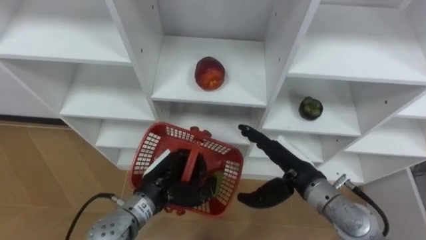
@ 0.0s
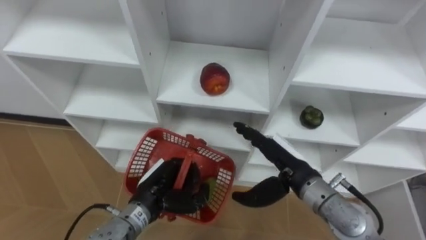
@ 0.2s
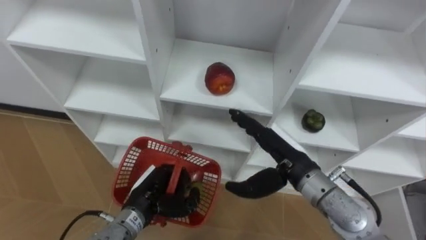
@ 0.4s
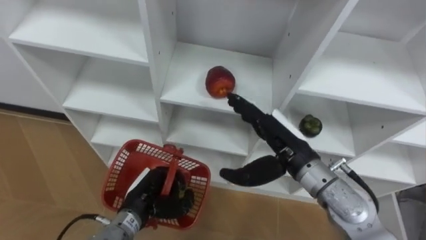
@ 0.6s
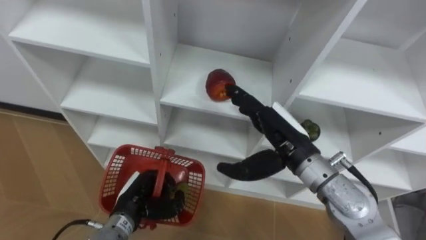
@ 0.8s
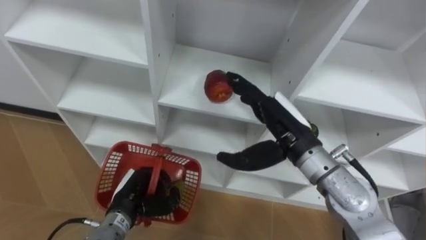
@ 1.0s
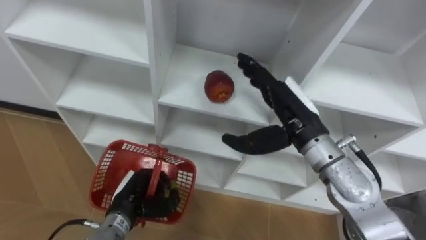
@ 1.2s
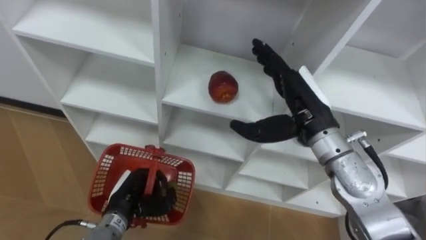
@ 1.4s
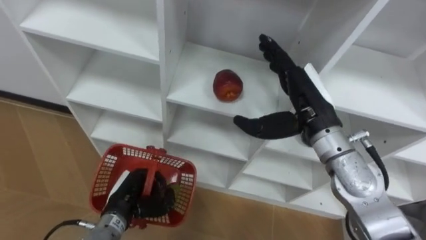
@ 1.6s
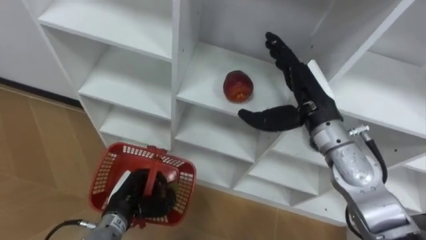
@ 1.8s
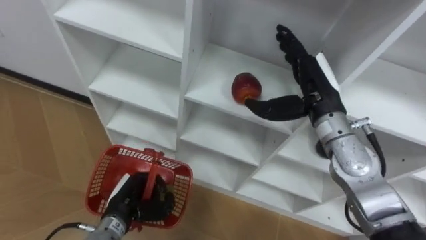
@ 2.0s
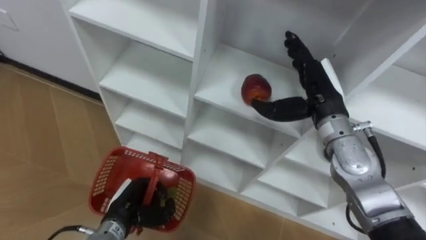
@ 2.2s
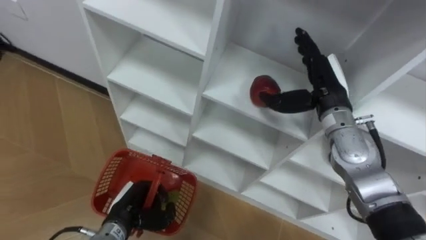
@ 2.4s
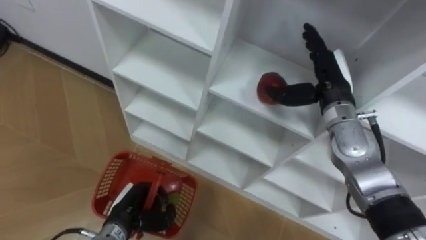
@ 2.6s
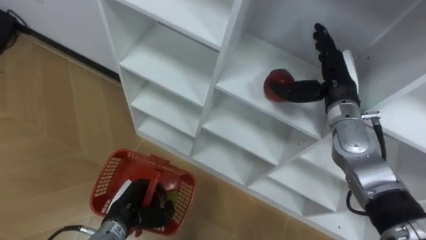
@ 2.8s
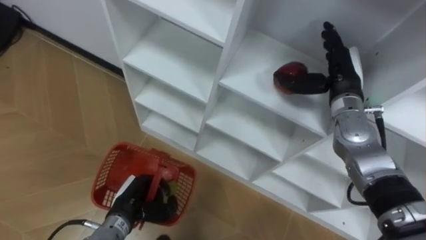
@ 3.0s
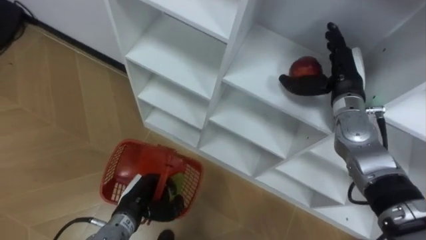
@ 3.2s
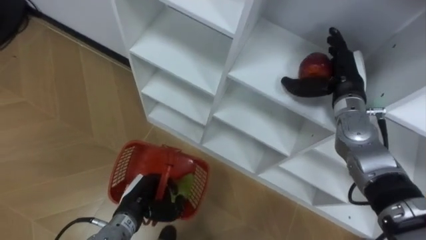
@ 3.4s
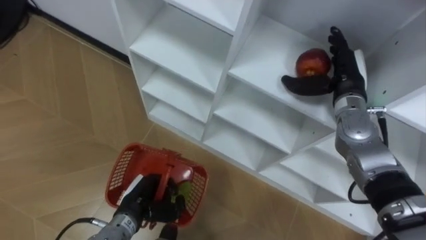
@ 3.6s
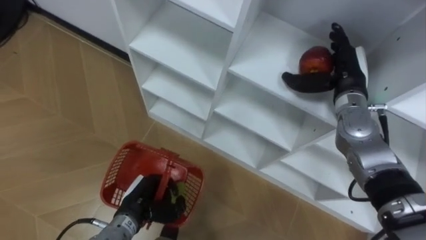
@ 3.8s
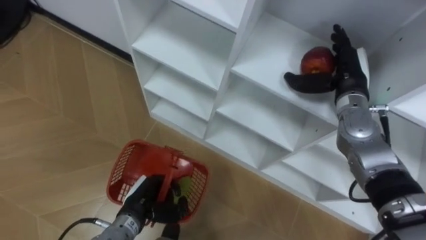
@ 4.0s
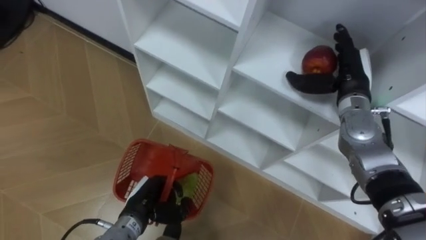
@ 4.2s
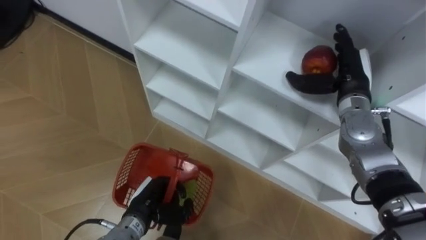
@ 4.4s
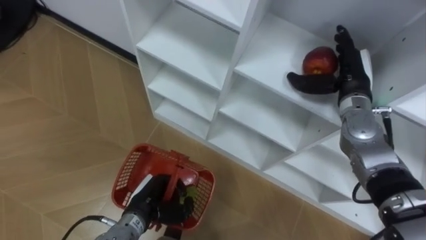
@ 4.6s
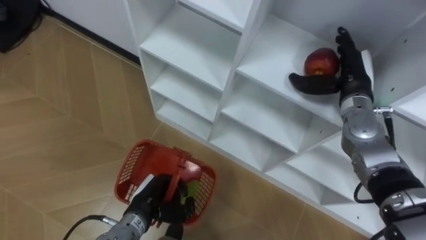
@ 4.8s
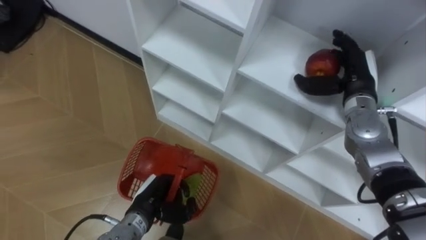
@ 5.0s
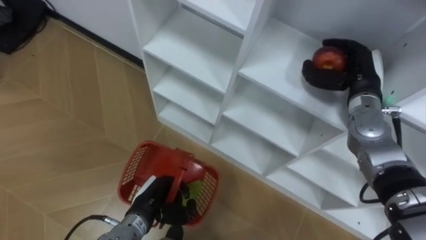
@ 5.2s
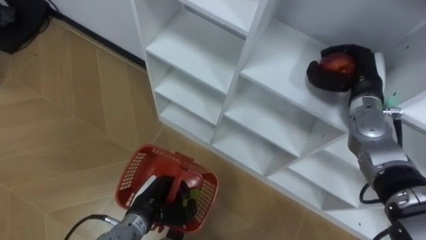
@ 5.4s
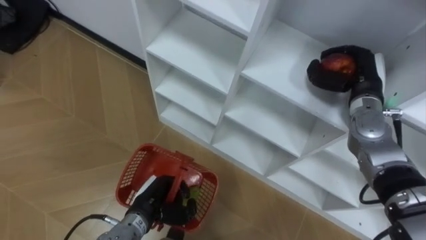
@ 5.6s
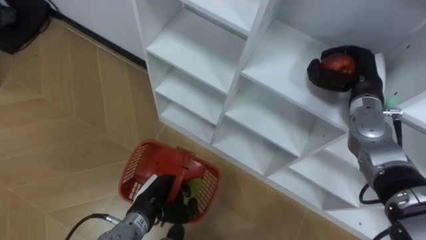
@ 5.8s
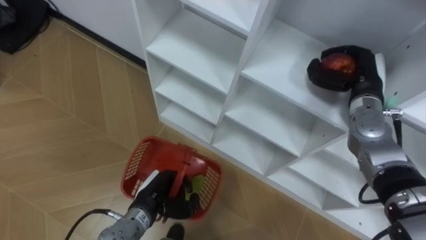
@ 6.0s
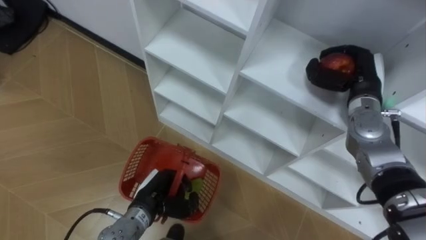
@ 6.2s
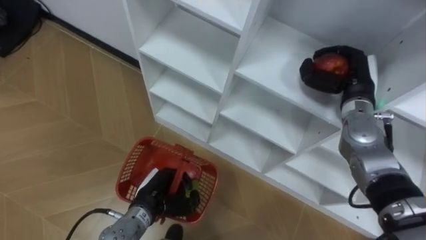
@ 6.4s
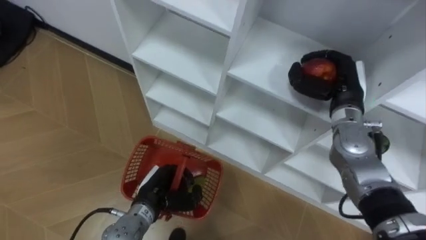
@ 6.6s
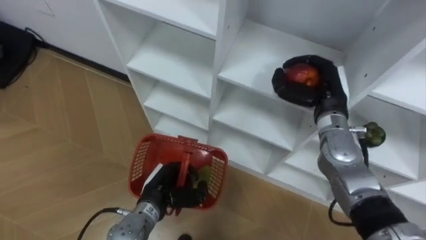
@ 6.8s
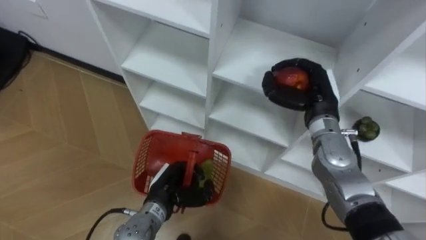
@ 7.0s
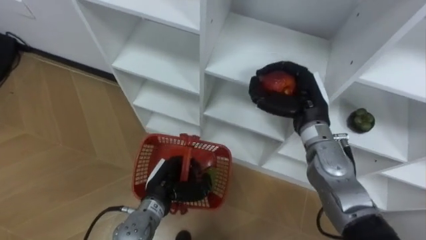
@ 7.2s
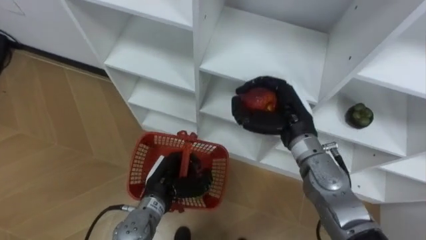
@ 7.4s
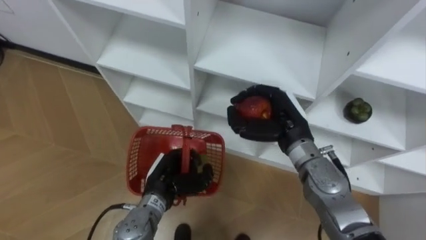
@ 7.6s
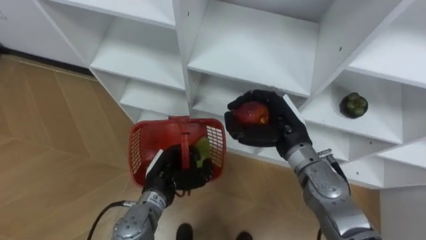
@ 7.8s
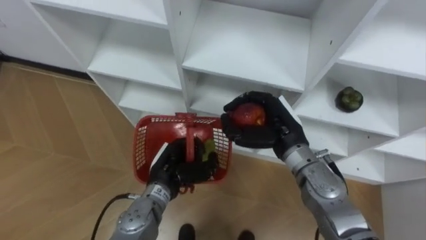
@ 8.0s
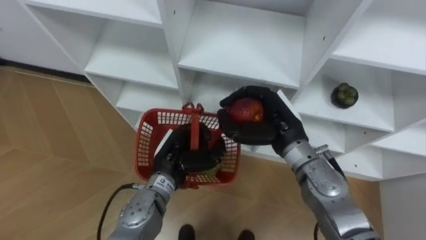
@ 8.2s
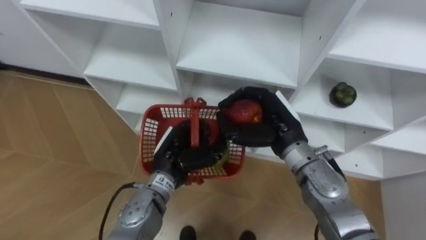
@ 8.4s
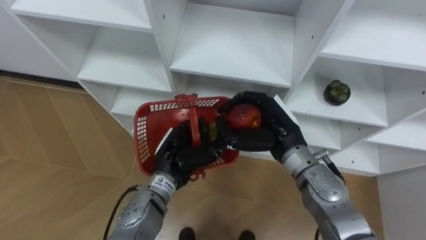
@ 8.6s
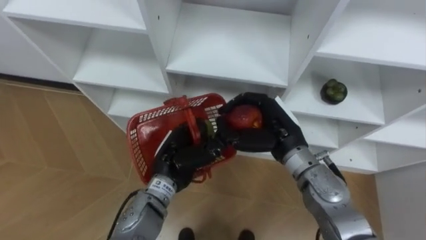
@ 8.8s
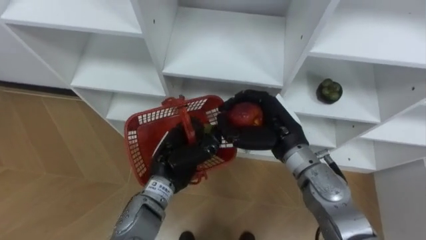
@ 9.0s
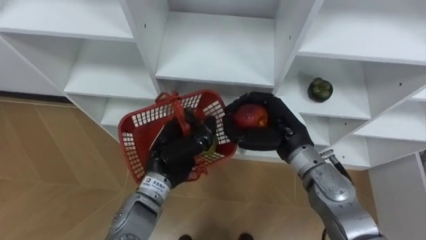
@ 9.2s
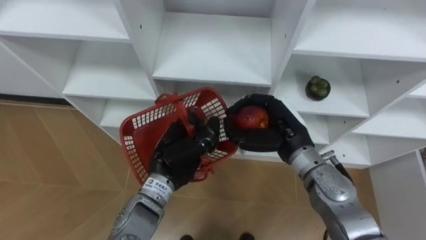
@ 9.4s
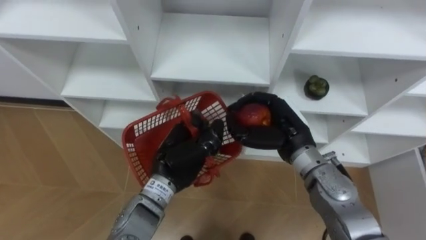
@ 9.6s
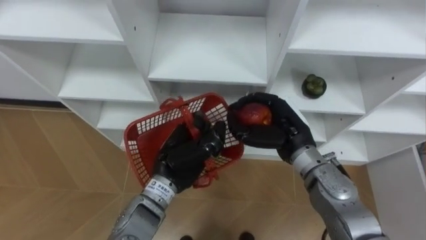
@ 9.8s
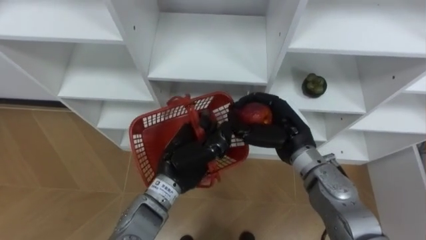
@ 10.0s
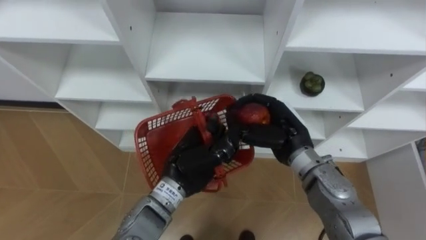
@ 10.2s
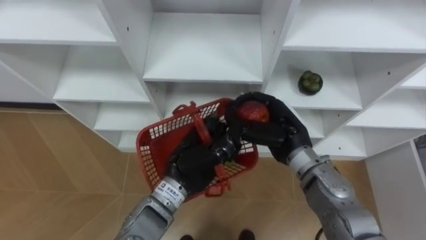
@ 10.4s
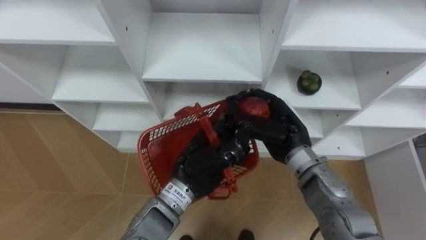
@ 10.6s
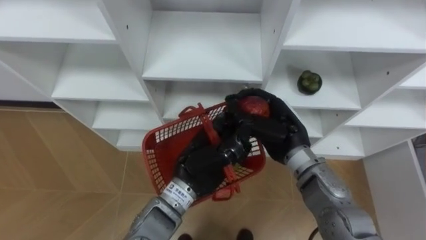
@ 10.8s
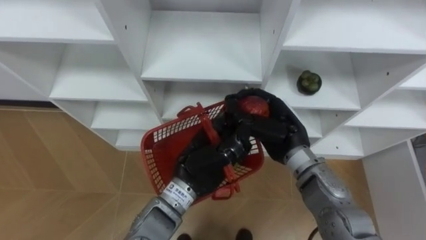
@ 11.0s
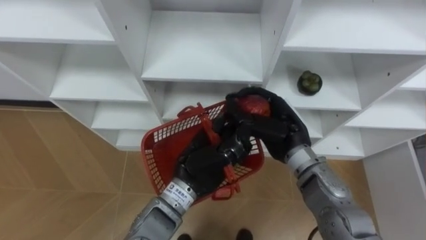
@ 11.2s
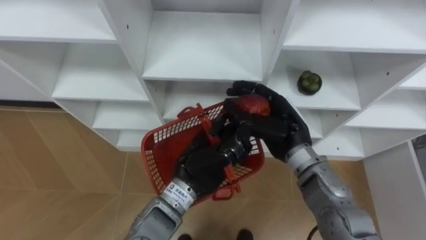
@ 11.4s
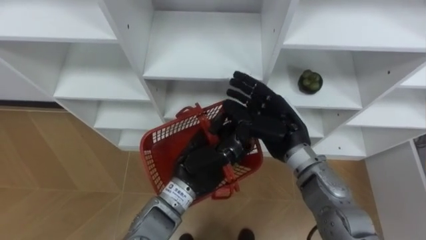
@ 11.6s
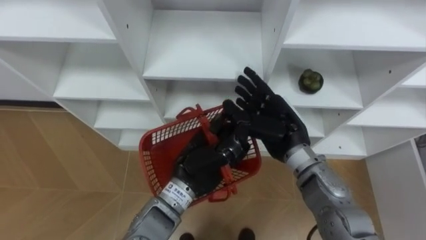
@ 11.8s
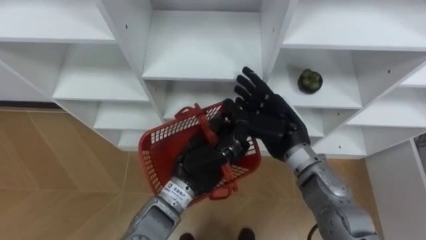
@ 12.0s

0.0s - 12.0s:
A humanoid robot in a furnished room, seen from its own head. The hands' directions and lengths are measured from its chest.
Task of the whole recording: Hold the basket and collect the fruits from 3 different cells of the closet into it.
0.0s - 1.6s: The left hand is displaced to the left and downward by roughly 10 cm. Meanwhile the right hand heads upward and forward, covering approximately 15 cm.
1.6s - 3.0s: The right hand moves forward and to the right, some 10 cm.
4.4s - 6.0s: The right hand closes.
6.0s - 7.6s: The right hand is displaced to the left and backward by some 15 cm, while the left hand moves some 5 cm.
7.6s - 9.0s: The left hand is displaced upward by roughly 5 cm.
9.0s - 10.4s: The left hand changes place by some 5 cm.
10.4s - 12.0s: The right hand opens.

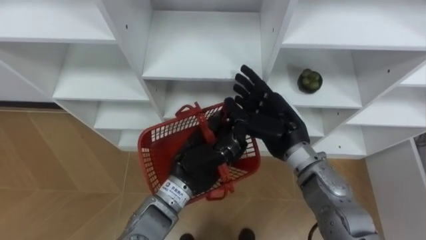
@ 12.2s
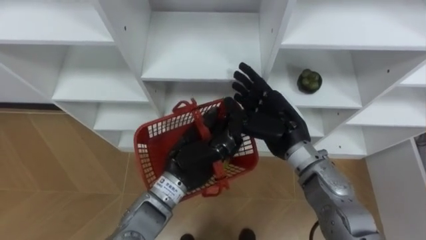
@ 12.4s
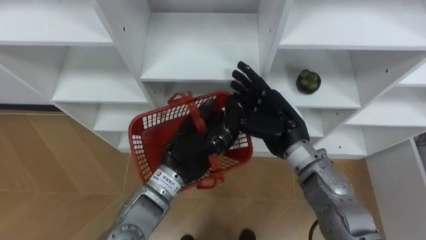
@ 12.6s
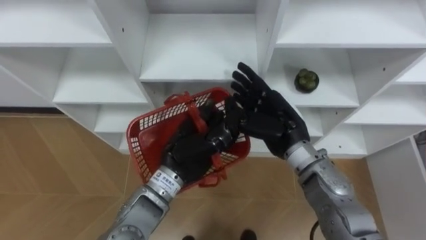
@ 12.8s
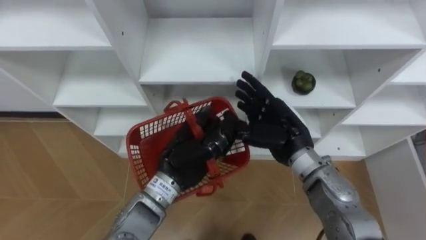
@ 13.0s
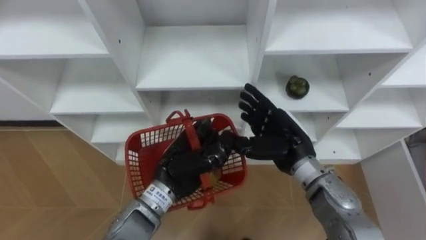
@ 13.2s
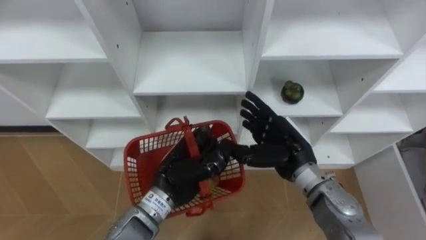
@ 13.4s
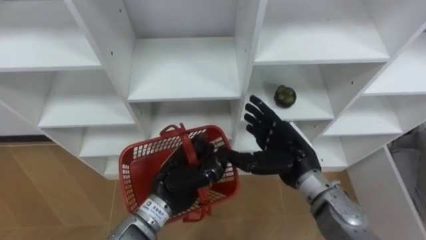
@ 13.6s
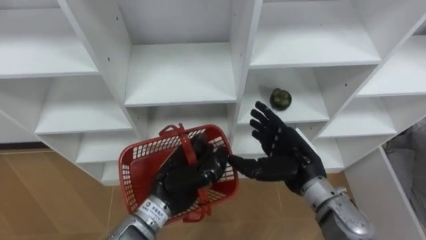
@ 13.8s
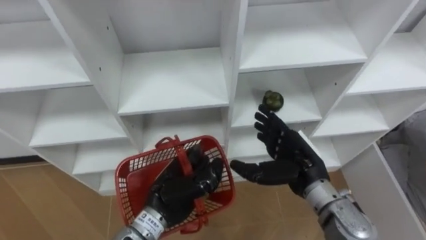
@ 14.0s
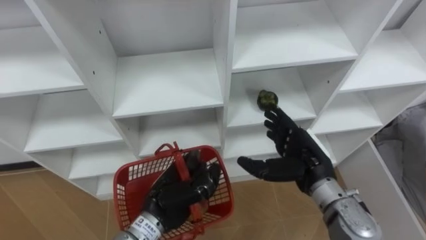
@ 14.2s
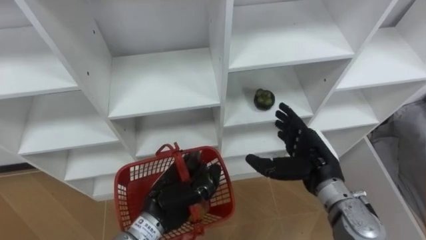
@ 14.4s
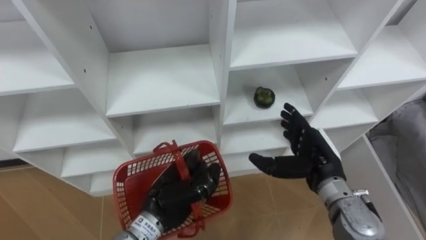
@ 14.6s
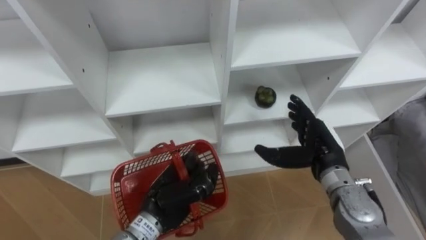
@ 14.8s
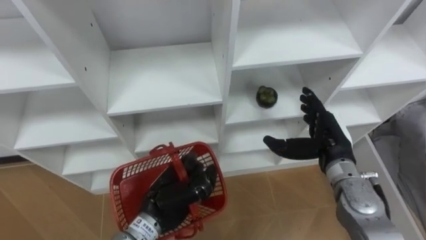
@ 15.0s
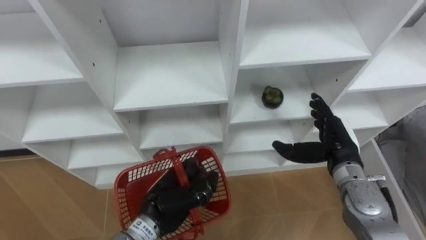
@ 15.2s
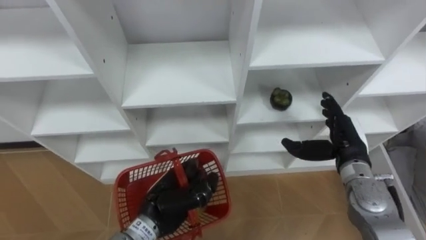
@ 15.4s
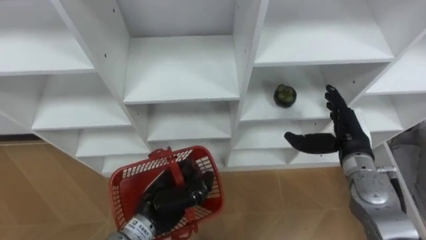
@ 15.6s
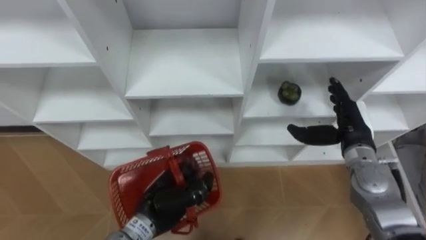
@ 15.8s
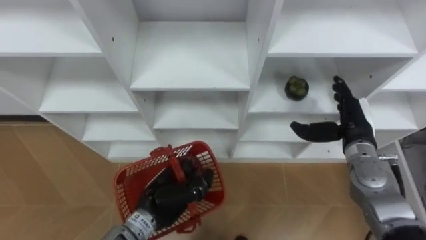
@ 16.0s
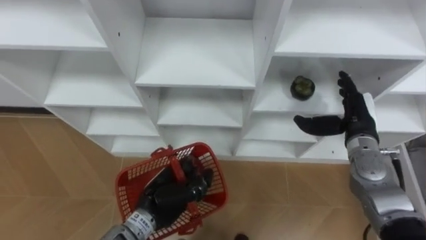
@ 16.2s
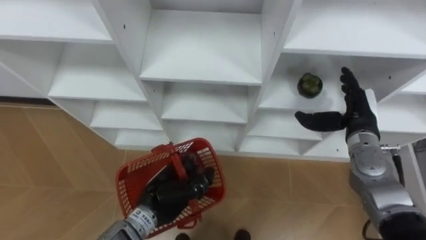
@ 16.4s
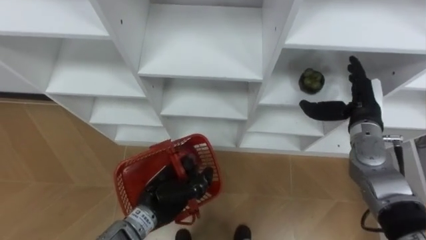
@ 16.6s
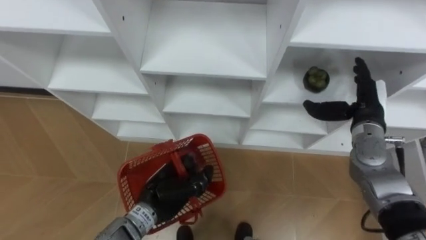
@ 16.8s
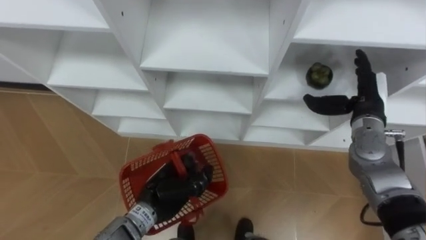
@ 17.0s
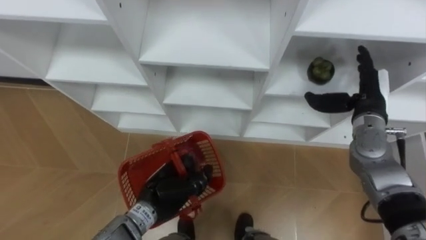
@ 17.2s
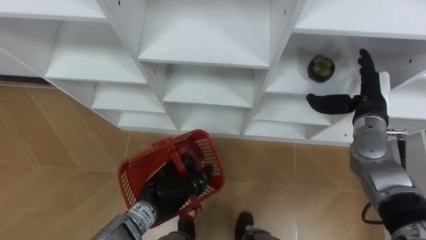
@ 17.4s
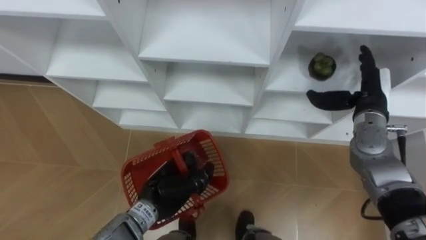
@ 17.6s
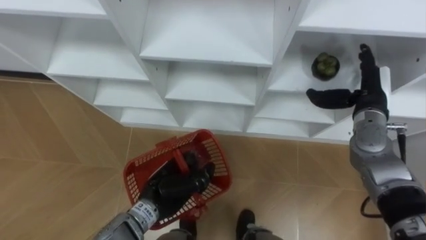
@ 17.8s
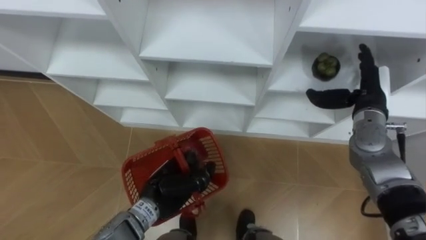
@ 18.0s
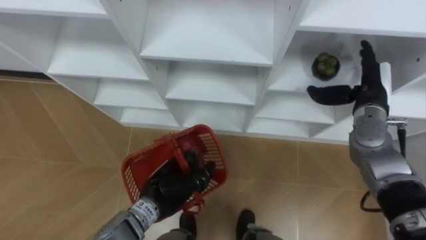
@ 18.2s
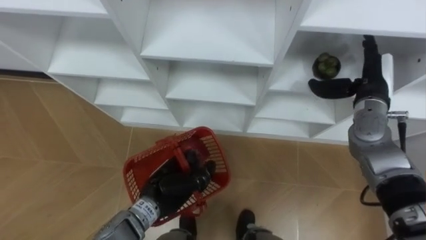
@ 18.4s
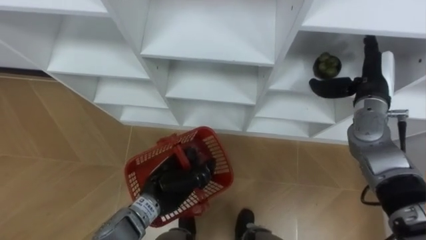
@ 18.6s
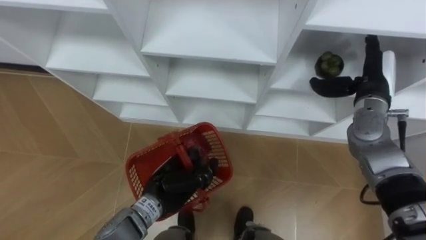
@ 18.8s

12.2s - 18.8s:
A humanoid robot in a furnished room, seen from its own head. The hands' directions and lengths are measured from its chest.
Task of the whole recording: Hold the basket and collect the fruits from 3 different cells of the closet into it.
12.2s - 13.8s: The left hand shifts by approximately 5 cm. Meanwhile the right hand ends up some 5 cm from where it was.
13.8s - 15.4s: The right hand travels to the right by some 10 cm; the left hand shifts by roughly 5 cm.
15.4s - 17.2s: The right hand moves forward and upward, some 10 cm.
